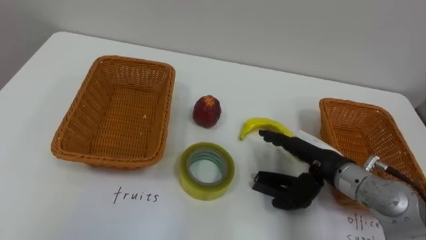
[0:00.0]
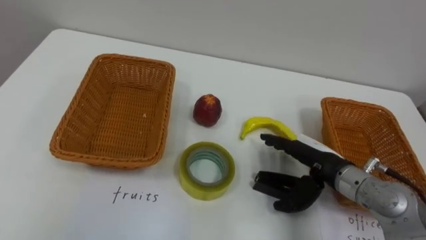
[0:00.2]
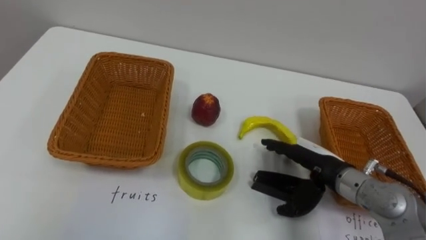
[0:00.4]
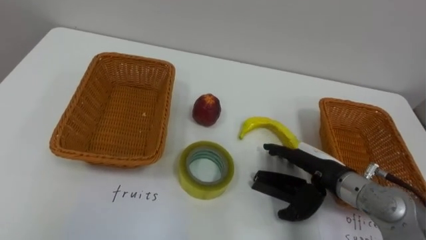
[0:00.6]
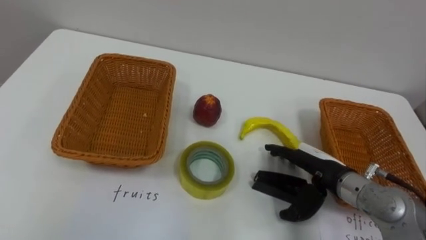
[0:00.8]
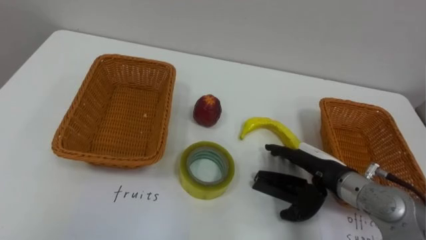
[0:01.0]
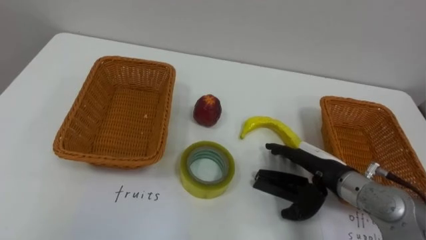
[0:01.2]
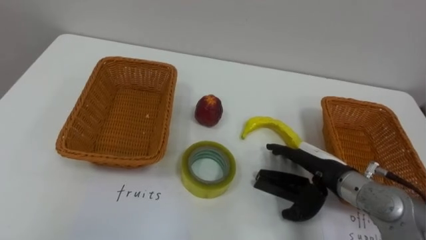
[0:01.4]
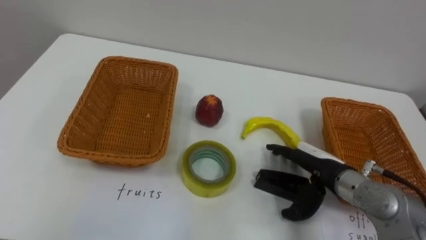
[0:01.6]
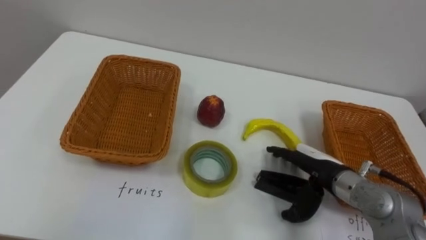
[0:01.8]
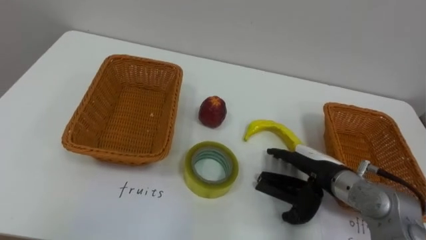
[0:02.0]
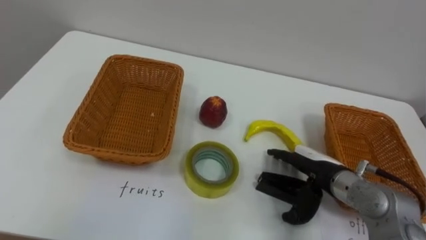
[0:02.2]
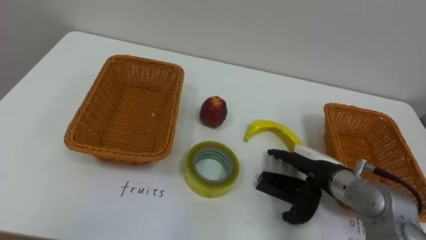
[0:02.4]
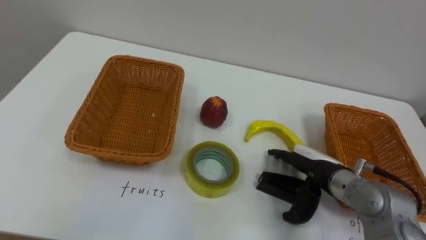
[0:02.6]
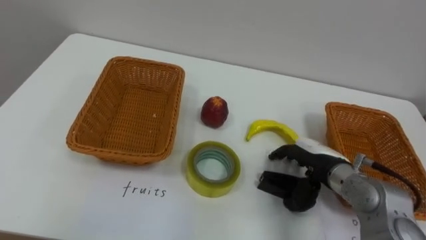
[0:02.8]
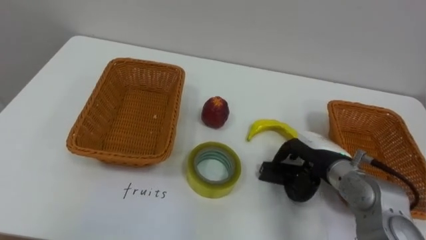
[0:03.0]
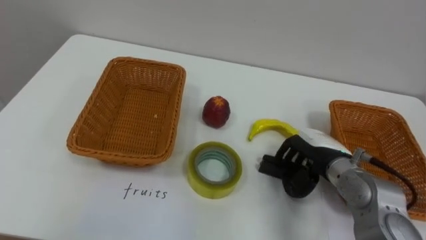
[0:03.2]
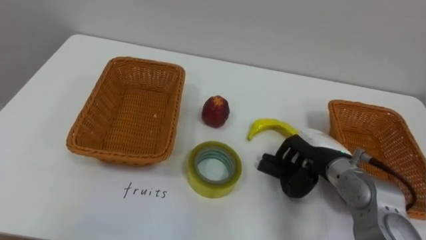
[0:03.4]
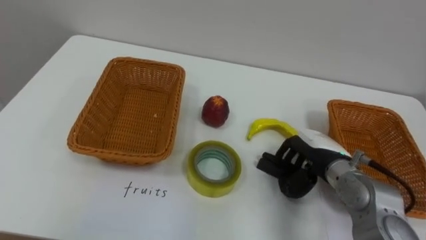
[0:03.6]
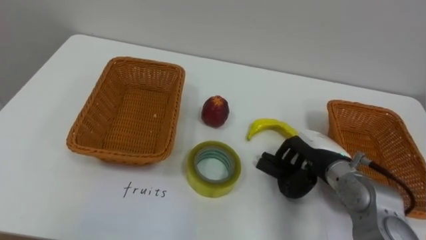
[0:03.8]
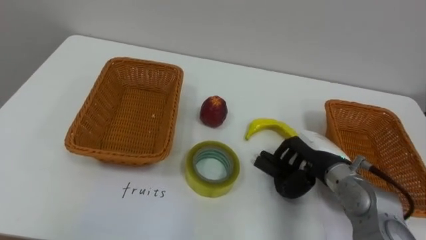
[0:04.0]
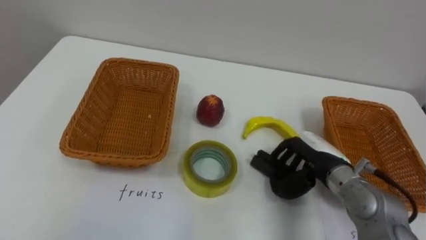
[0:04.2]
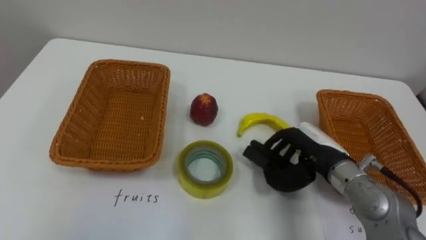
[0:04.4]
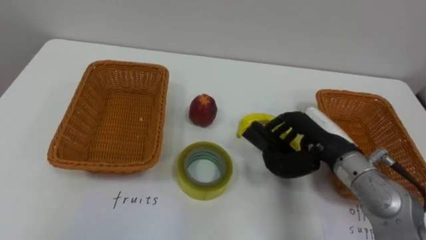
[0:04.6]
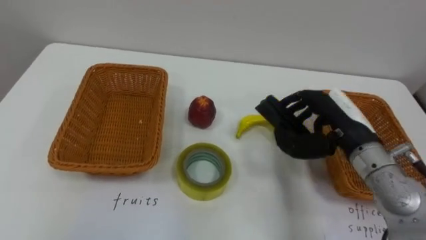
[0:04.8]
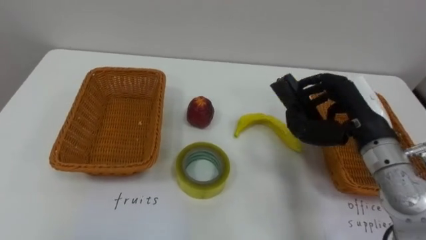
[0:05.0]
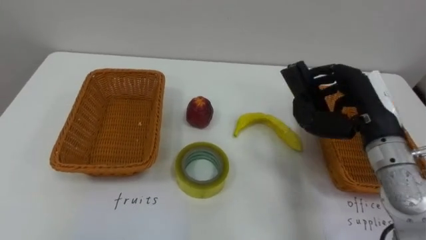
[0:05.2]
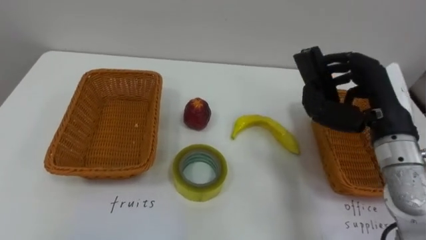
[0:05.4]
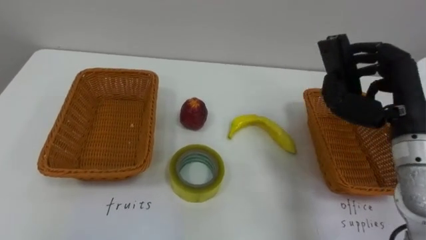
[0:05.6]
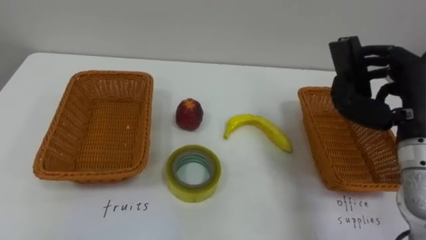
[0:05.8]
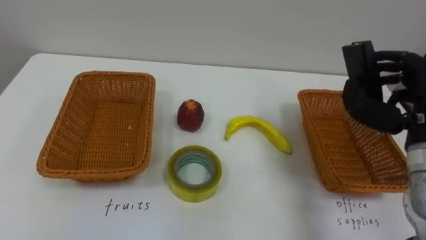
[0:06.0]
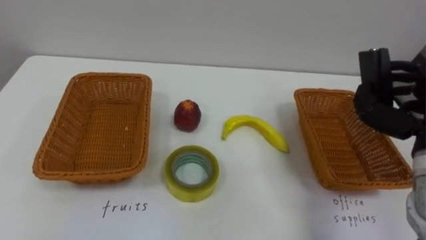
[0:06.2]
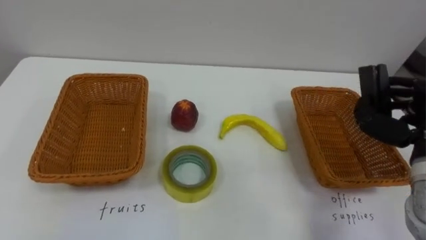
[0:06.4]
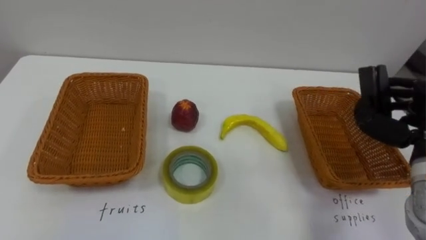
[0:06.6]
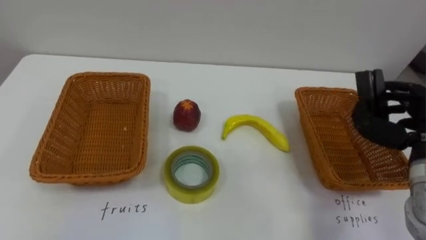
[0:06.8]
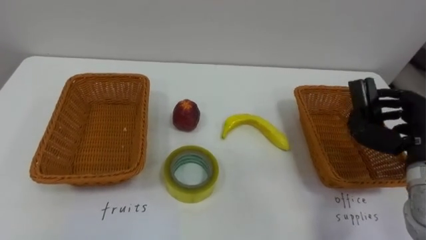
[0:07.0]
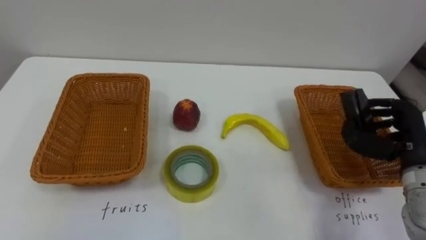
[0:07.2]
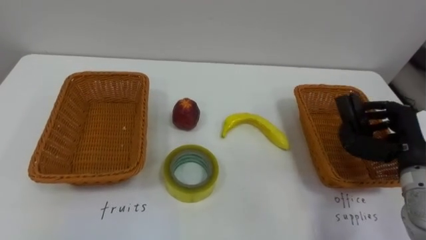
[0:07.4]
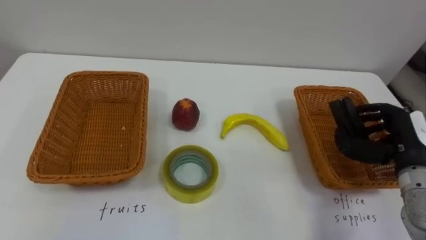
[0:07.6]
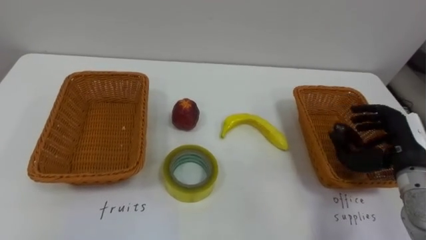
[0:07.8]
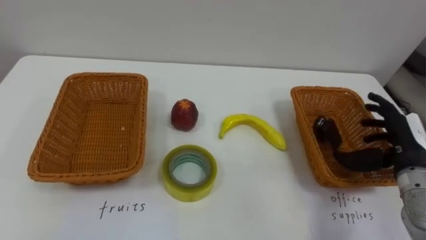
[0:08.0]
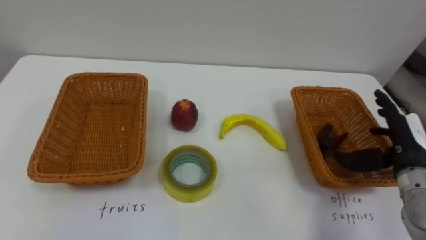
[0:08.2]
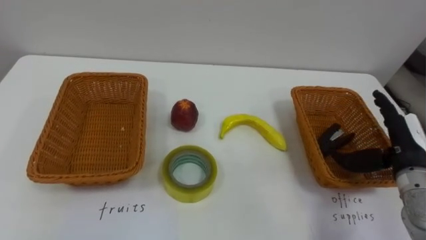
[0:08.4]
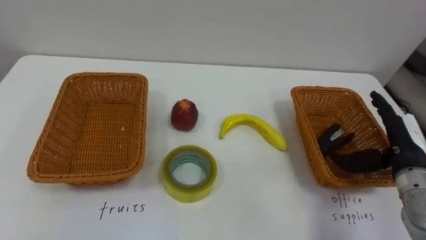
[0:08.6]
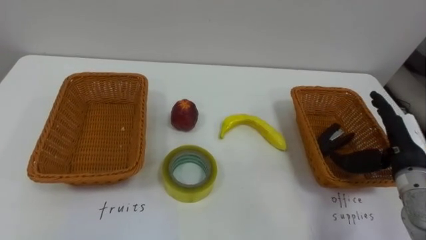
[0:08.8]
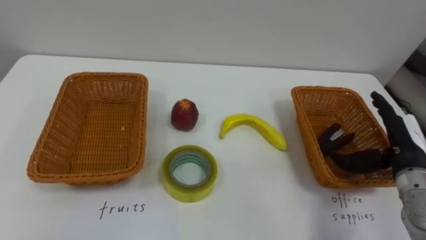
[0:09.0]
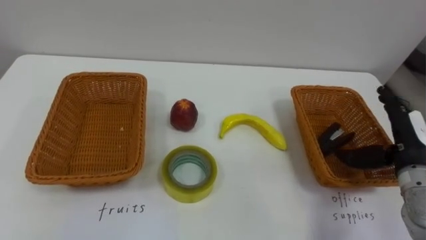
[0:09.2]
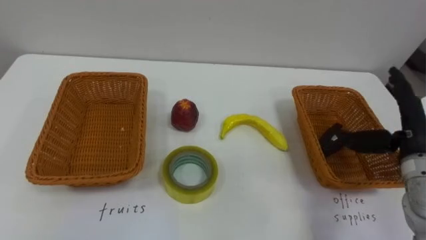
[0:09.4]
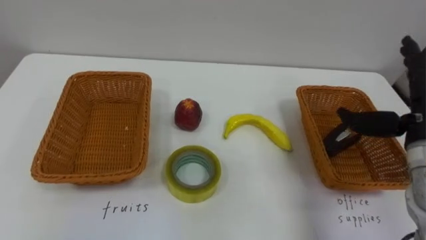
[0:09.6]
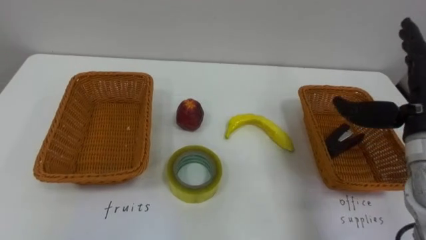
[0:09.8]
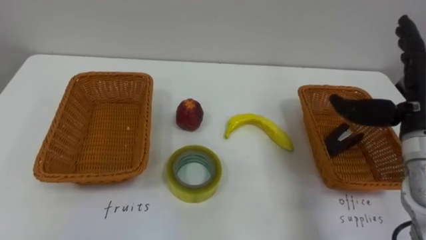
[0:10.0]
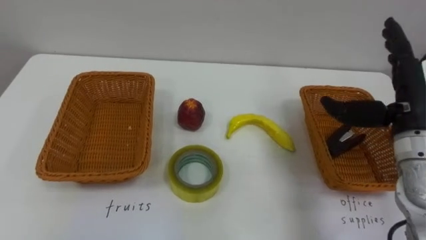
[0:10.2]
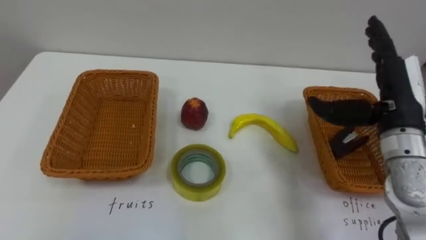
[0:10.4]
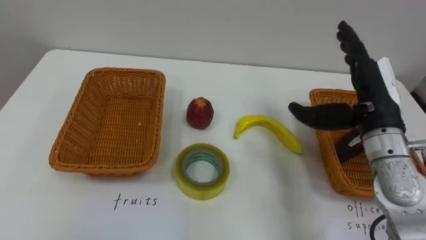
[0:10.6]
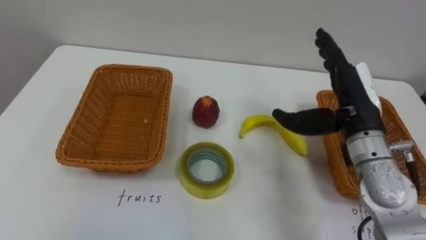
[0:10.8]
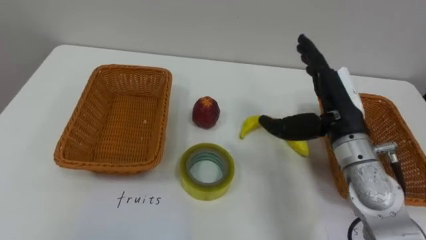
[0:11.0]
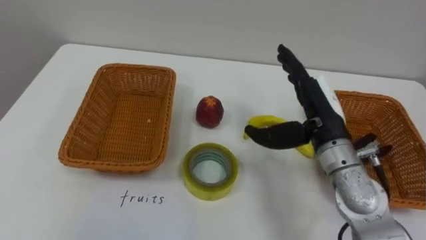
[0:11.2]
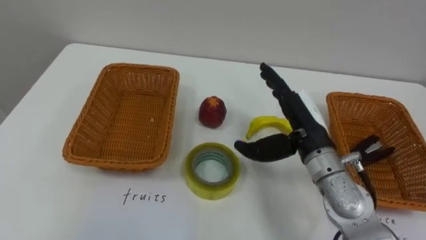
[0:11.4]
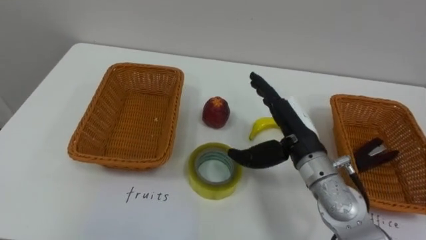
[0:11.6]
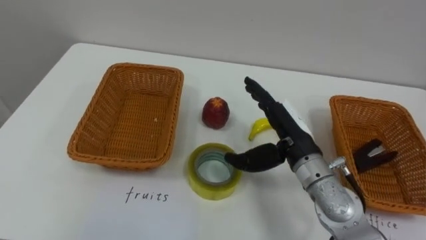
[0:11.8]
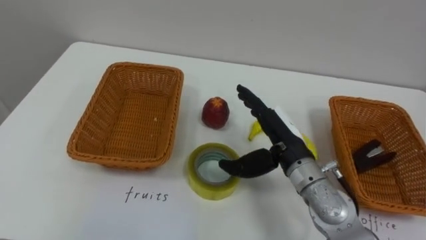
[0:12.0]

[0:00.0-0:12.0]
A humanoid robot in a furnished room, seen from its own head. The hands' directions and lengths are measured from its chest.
Task of the whole recording: Separate the items on the table and place them into the two baskets.
0:01.6 to 0:03.0: The right hand closes.
0:04.4 to 0:06.0: The right hand shifts approximately 15 cm to the right and upward.
0:07.6 to 0:09.0: The right hand opens its fingers.
0:09.0 to 0:10.4: The right hand travels upward and to the left by approximately 10 cm.
0:10.4 to 0:12.0: The right hand shifts approximately 15 cm to the left and downward.

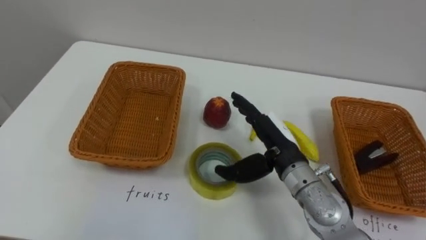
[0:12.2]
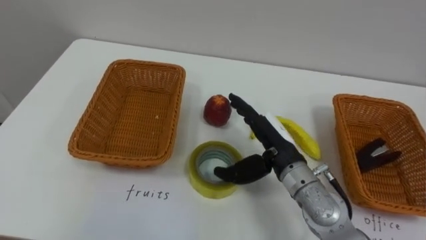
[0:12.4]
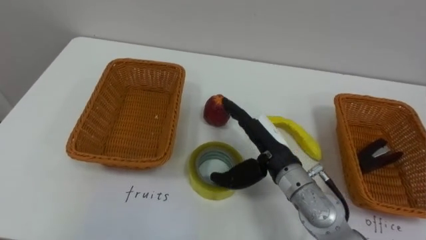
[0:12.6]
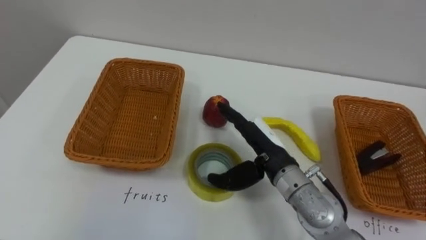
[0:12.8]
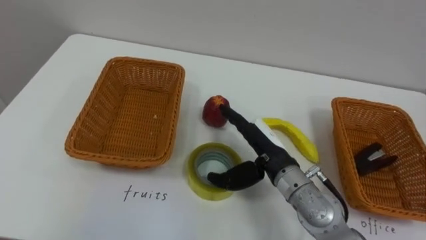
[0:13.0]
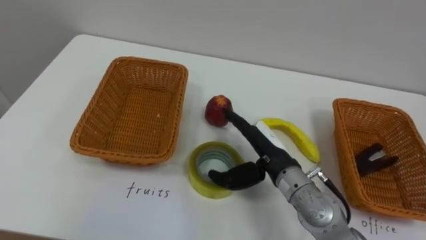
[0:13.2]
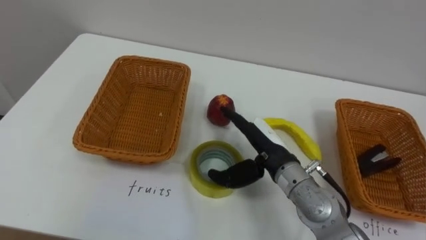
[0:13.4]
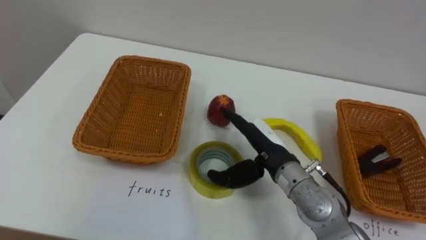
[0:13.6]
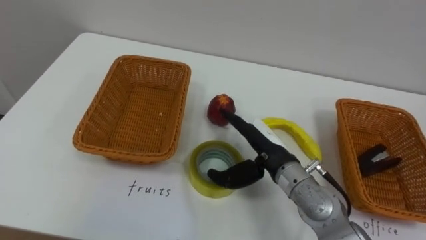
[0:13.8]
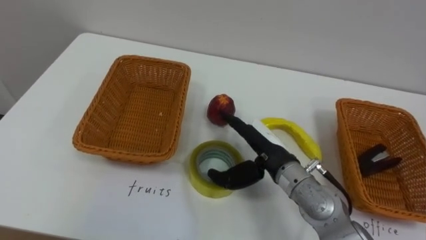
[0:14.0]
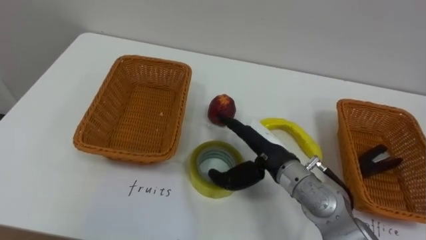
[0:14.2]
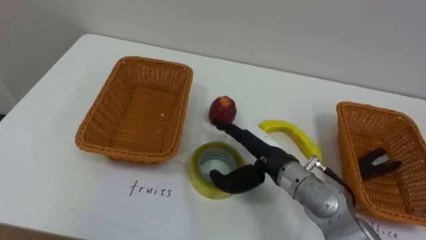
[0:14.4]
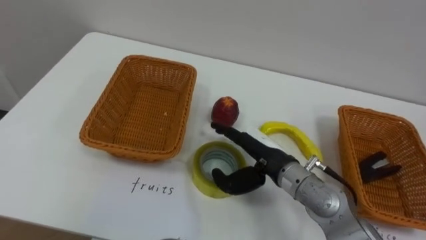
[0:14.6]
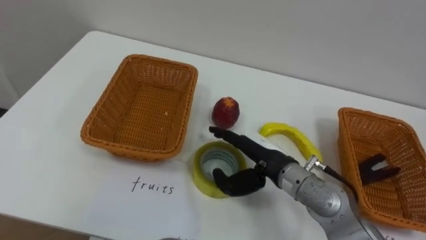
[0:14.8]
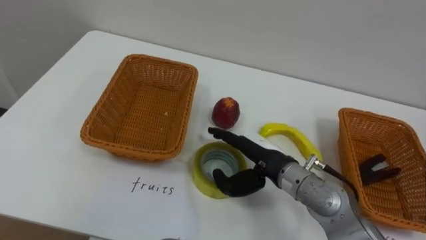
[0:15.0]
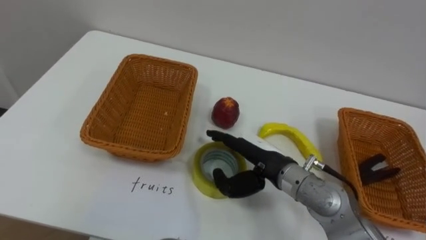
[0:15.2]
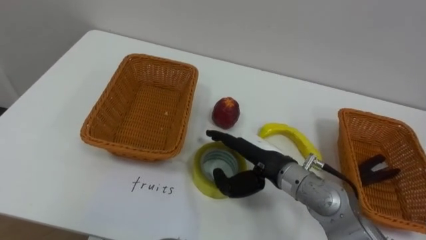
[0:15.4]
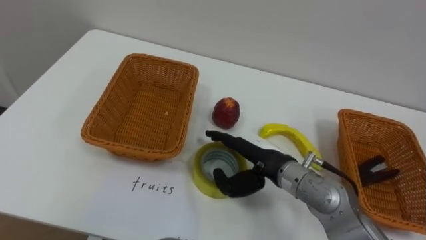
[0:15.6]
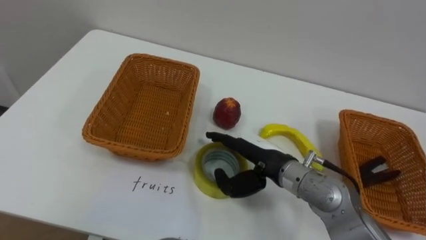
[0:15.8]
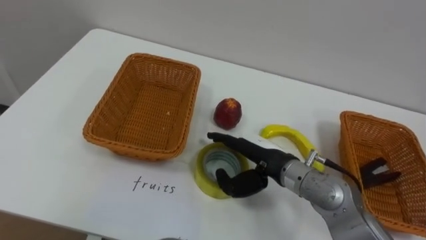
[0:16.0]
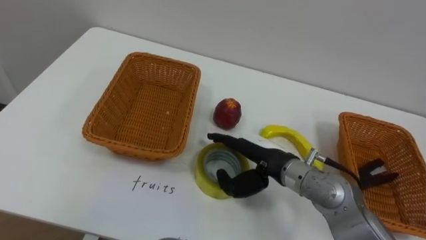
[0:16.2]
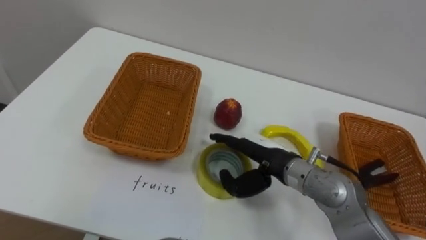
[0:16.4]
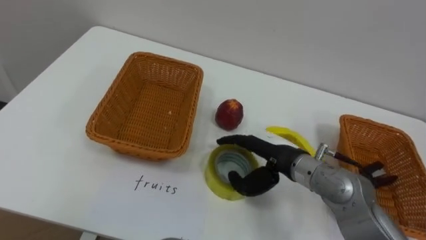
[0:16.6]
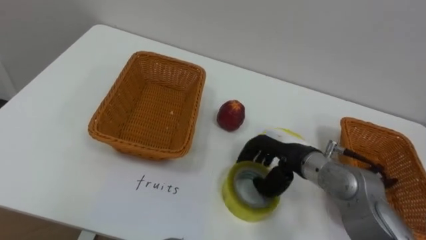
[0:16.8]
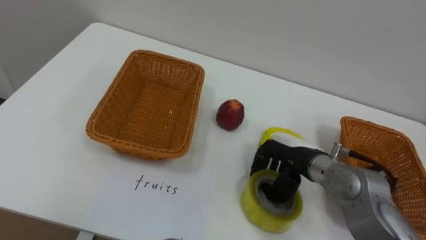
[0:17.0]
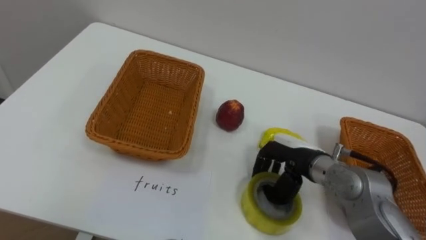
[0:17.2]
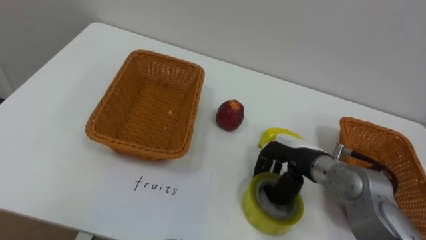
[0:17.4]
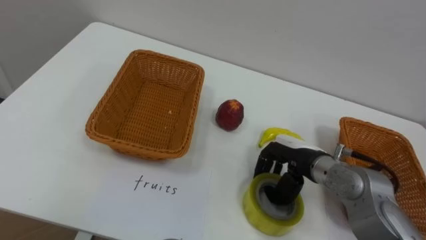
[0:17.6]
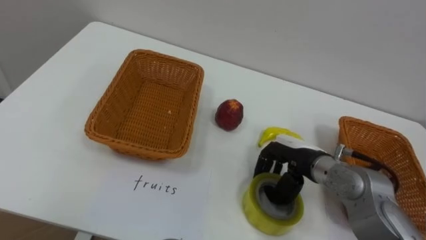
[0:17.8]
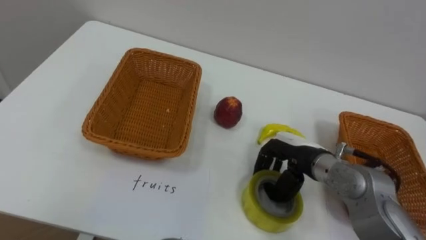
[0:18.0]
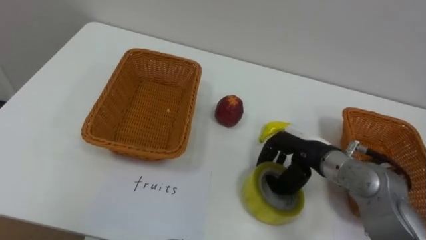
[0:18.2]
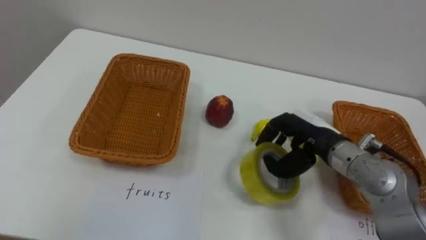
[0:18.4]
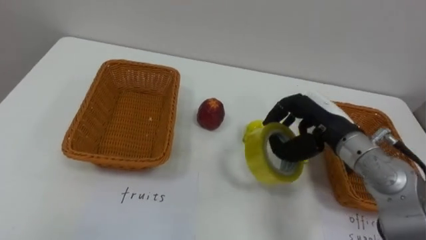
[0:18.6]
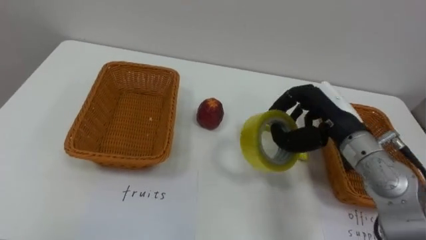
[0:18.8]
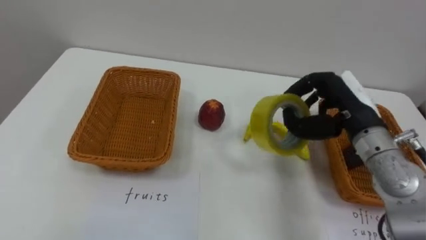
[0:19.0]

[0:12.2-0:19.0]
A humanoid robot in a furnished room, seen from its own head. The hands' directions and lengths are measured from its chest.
Task of the whole recording: Separate the items on the table and place them into the two baskets.
0:16.2 to 0:17.6: The right hand shifts approximately 5 cm to the right, and closes its fingers.
0:17.6 to 0:19.0: The right hand is displaced upward and to the right by about 10 cm.
